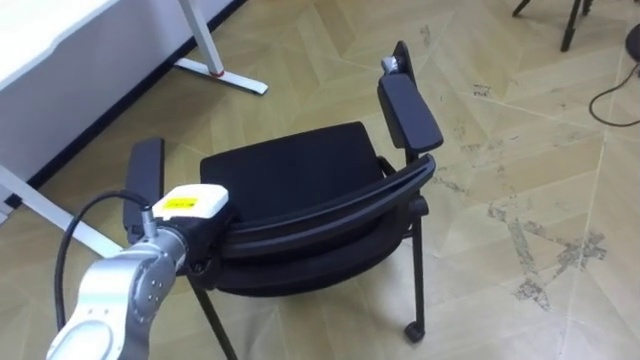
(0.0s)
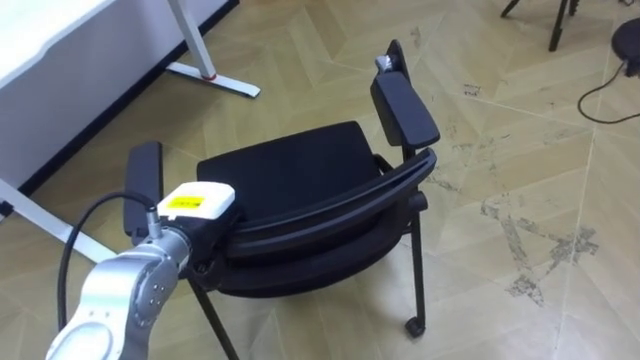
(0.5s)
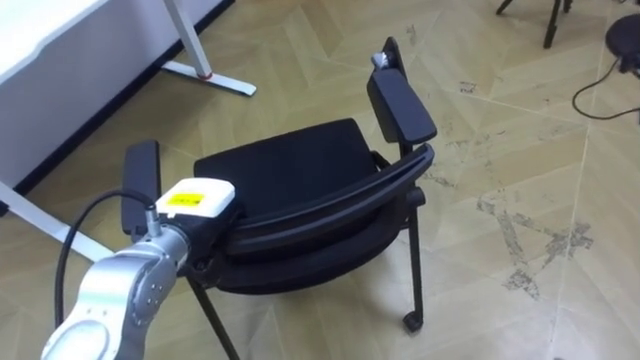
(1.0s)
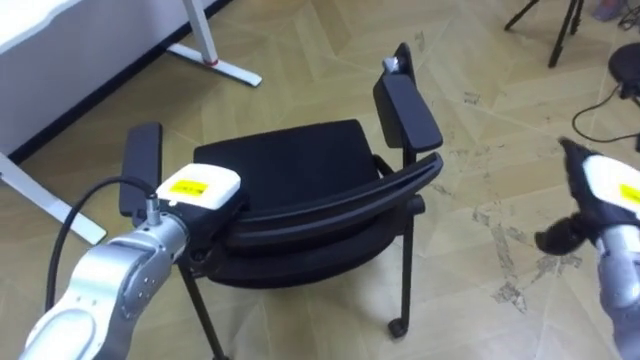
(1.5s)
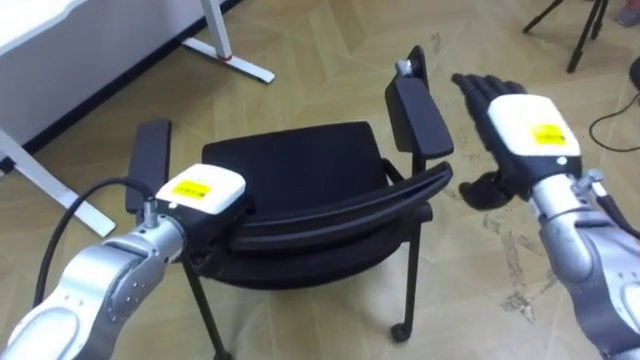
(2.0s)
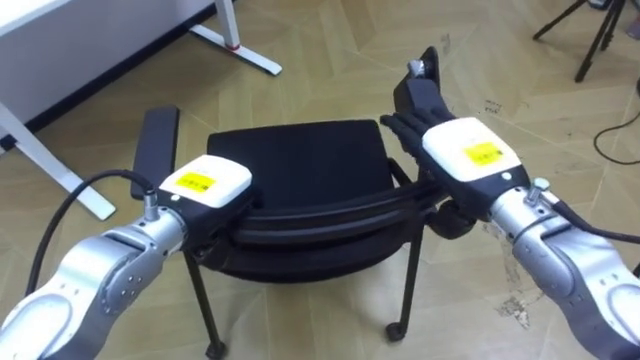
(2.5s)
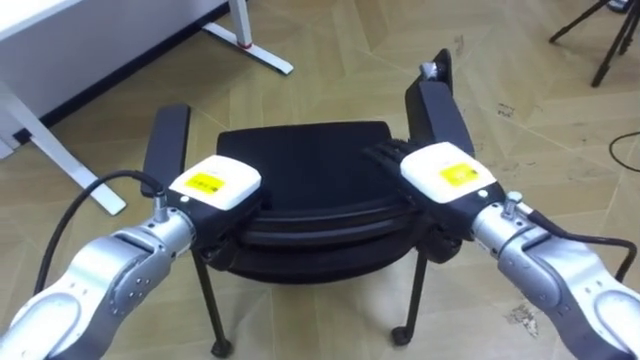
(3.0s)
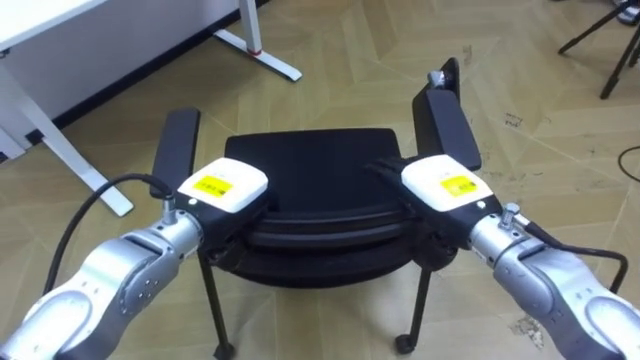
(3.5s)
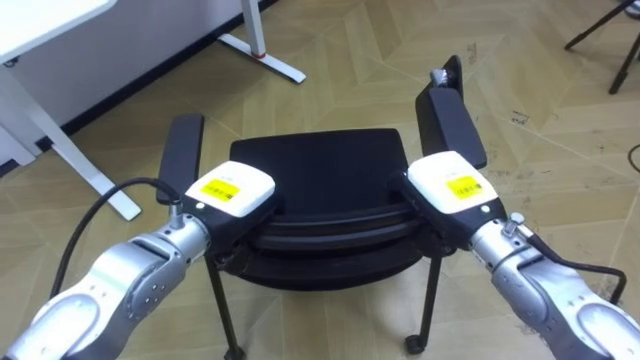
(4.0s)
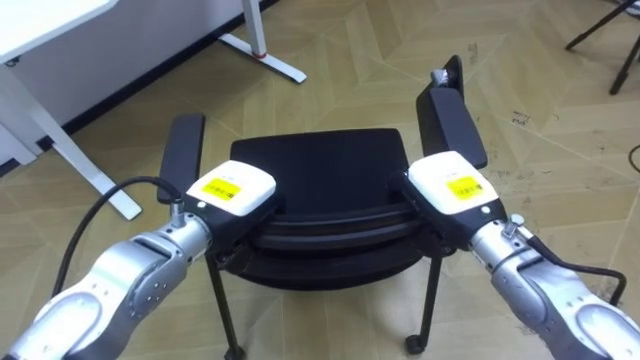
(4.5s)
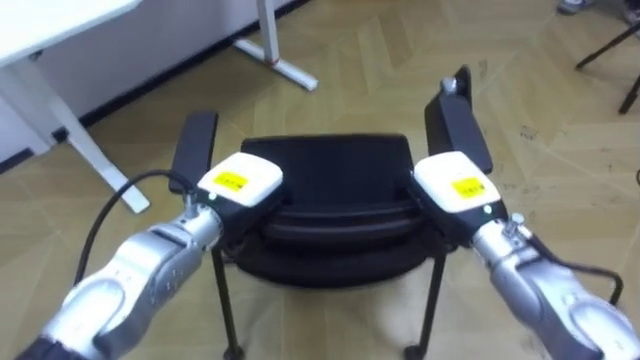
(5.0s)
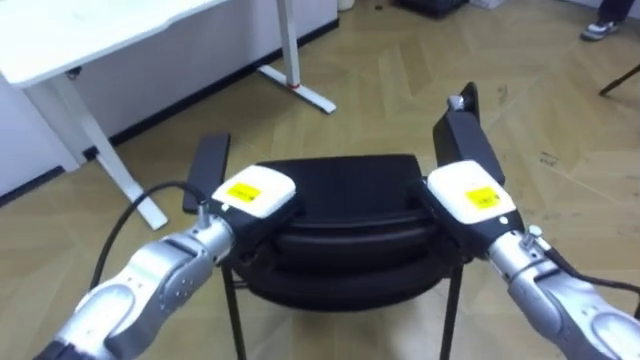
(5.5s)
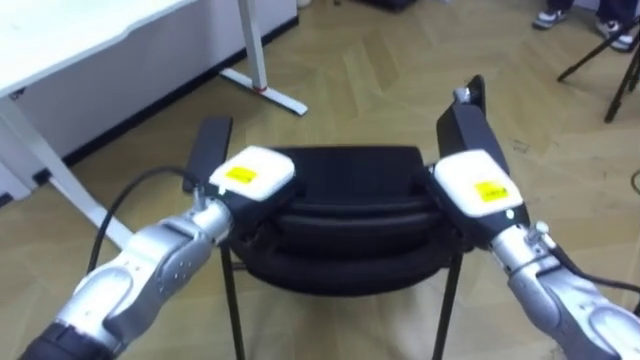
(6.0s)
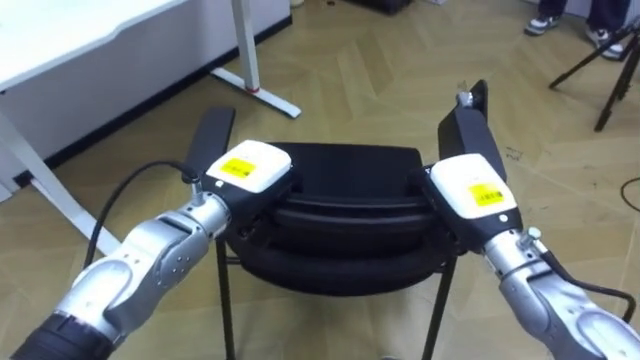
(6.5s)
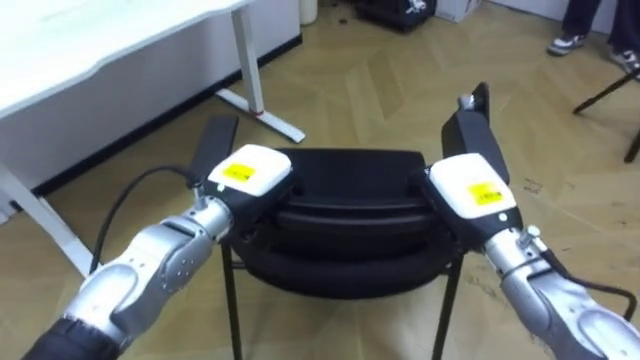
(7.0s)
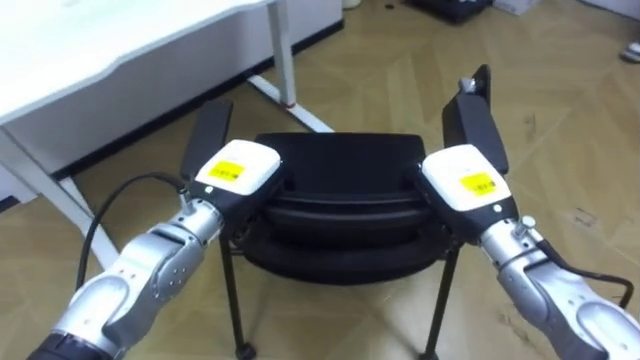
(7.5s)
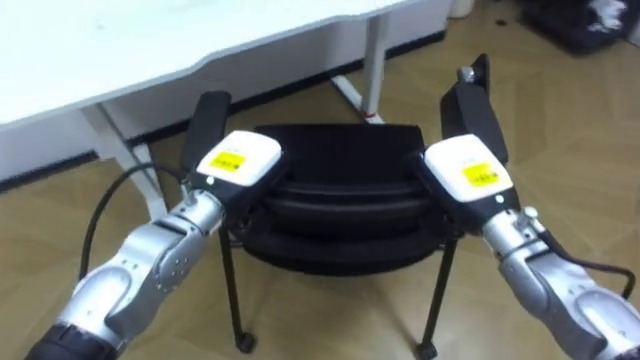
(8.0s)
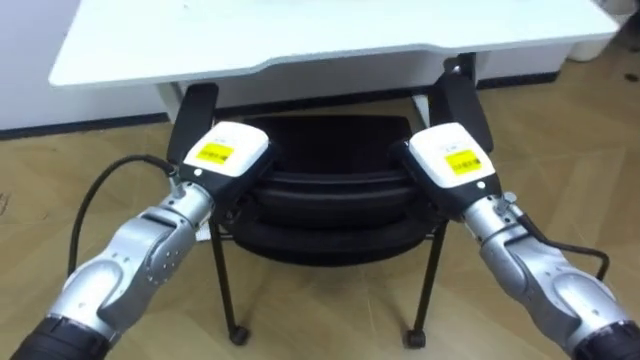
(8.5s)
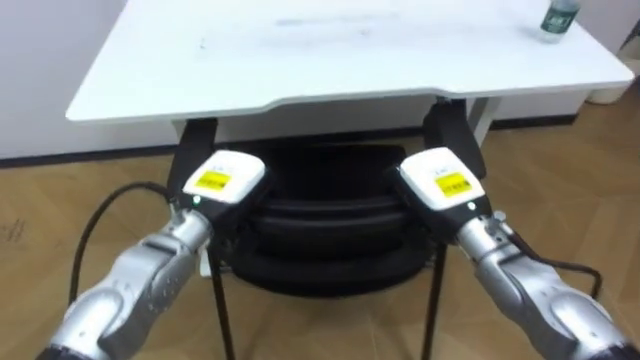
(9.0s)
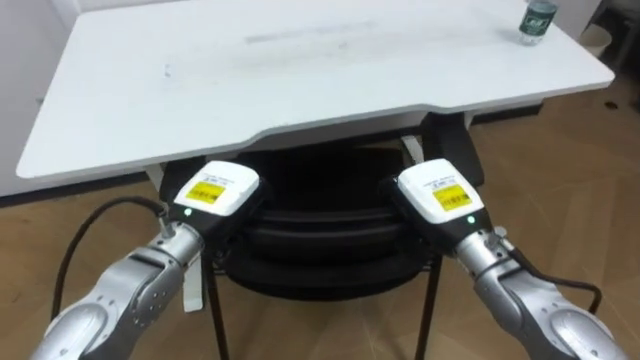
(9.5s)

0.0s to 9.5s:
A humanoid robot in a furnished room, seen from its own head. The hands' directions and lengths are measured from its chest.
Task of the whole recording: Push the chair under the table.
2.0s to 4.0s: The right hand heads to the left and downward, covering some 10 cm, and closes up.
7.5s to 9.5s: The robot rotates some 20 degrees to its left.

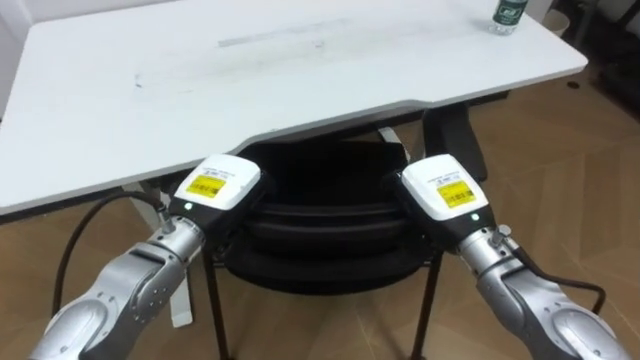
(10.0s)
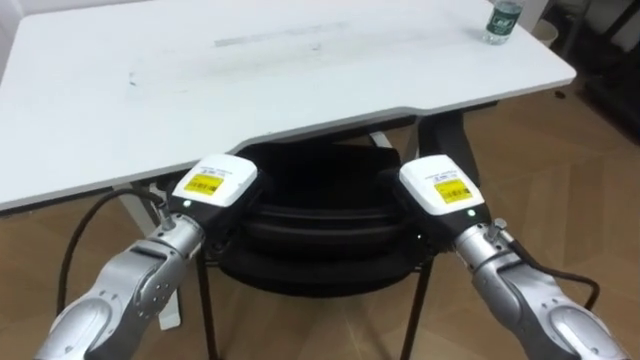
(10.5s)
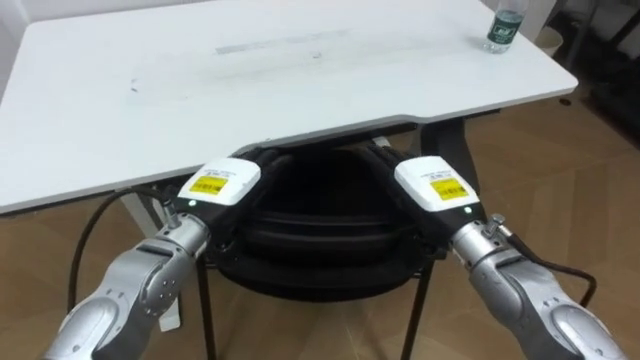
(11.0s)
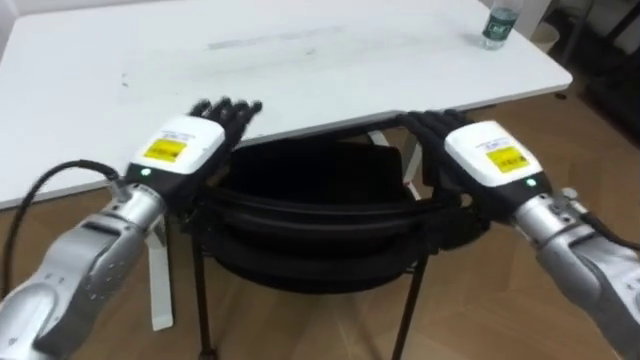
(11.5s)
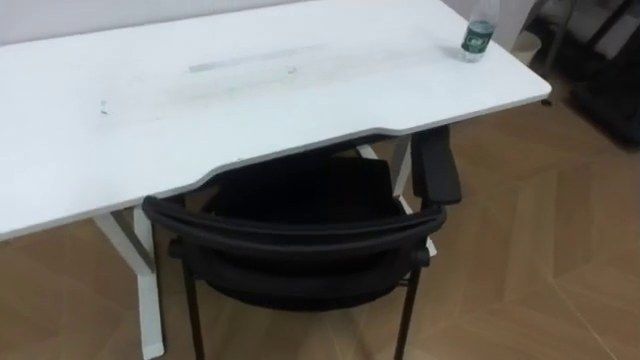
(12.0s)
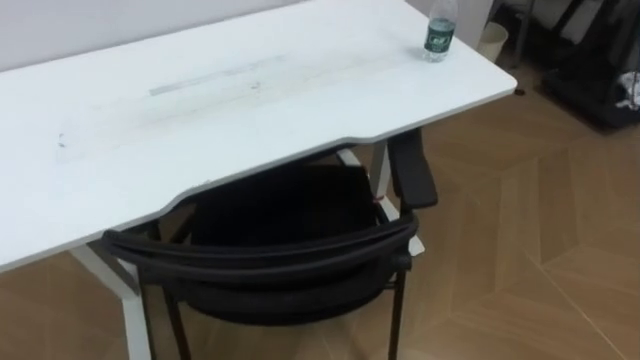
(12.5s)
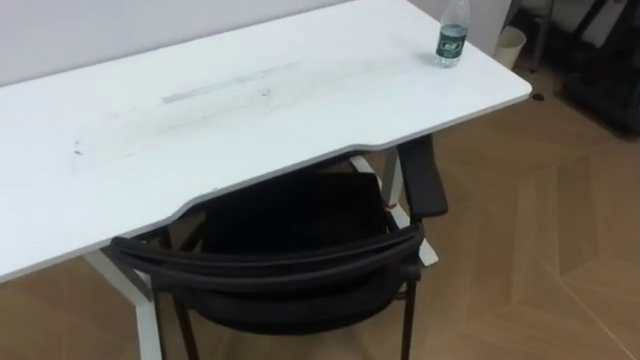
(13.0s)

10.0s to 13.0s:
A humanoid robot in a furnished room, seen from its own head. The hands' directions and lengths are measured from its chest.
Task of the whole recording: Push the chair under the table.
10.0s to 11.5s: The right hand shifts by some 5 cm, and opens up. The left hand ends up approximately 5 cm from where it was, and opens its fingers.

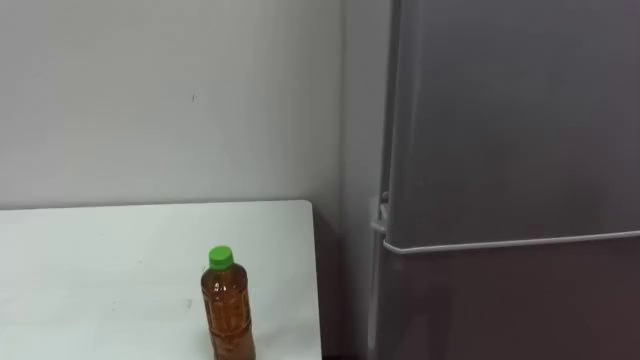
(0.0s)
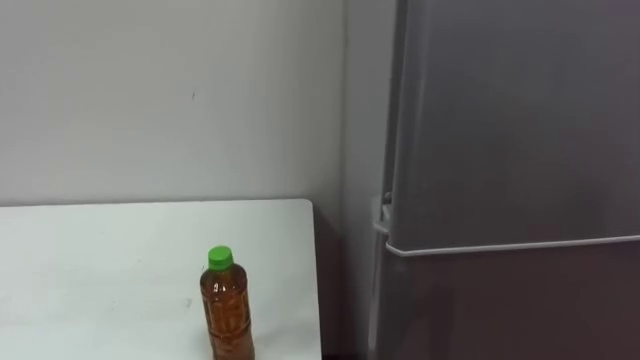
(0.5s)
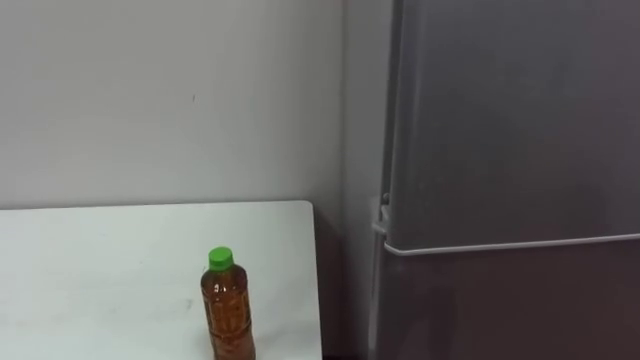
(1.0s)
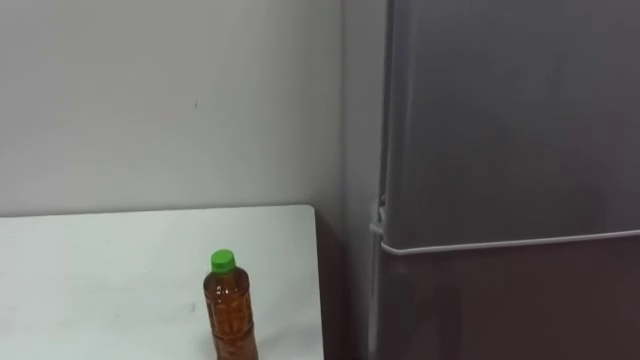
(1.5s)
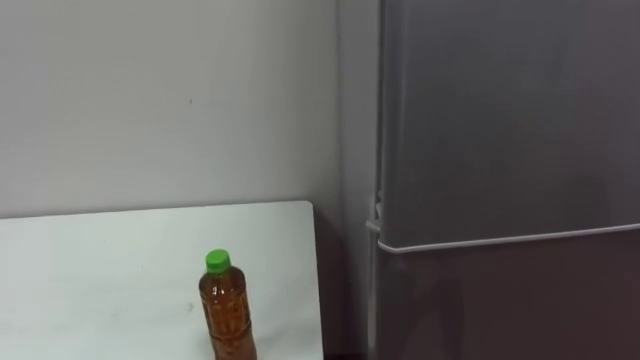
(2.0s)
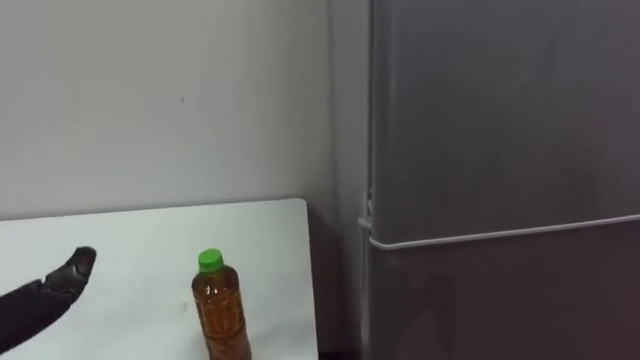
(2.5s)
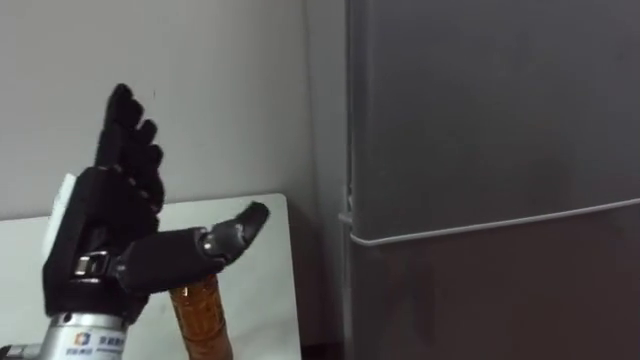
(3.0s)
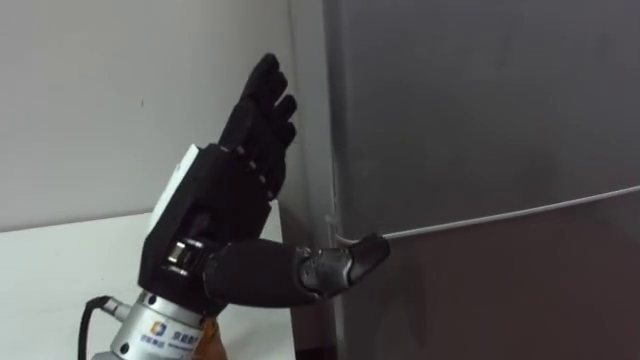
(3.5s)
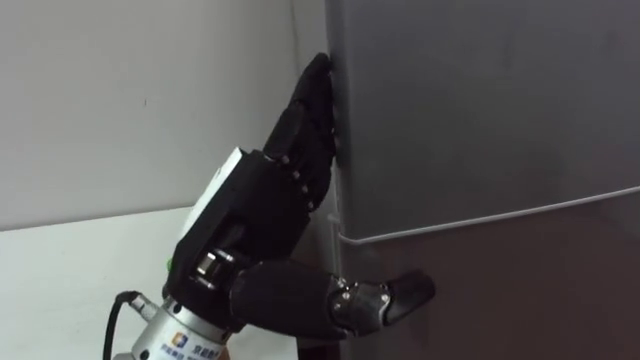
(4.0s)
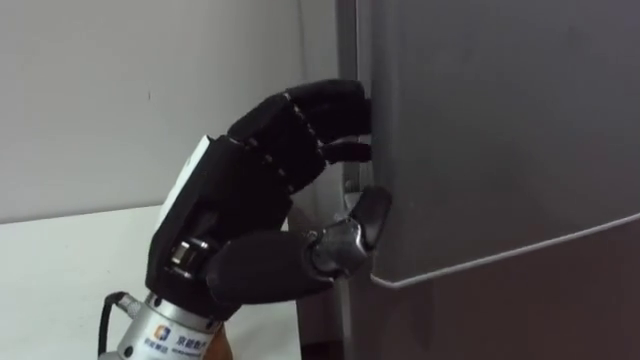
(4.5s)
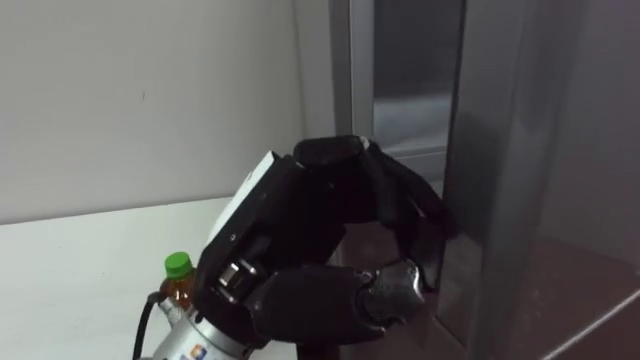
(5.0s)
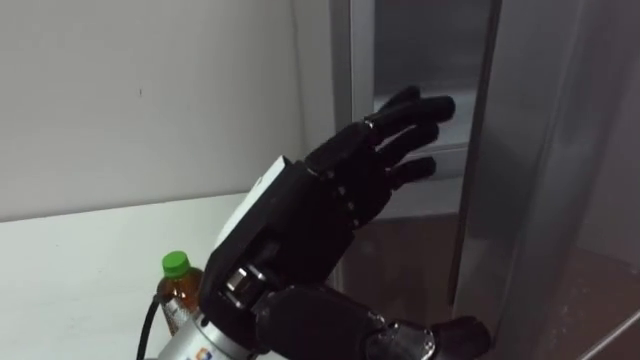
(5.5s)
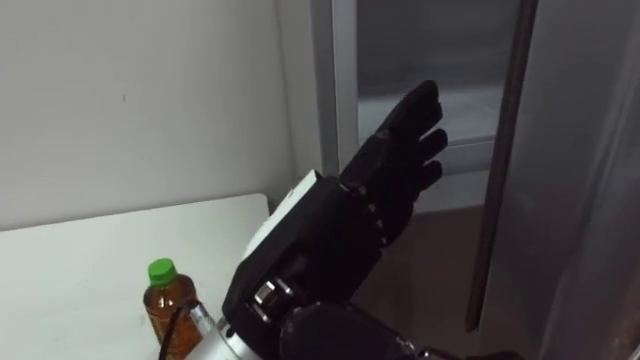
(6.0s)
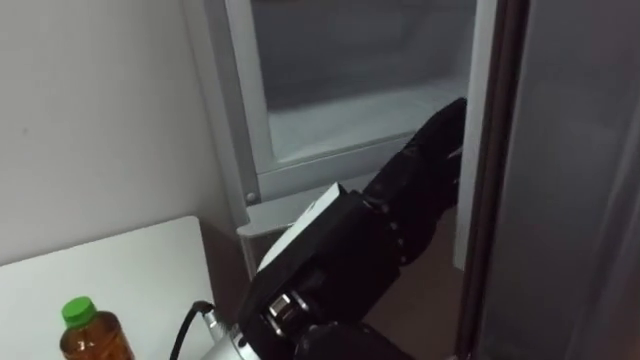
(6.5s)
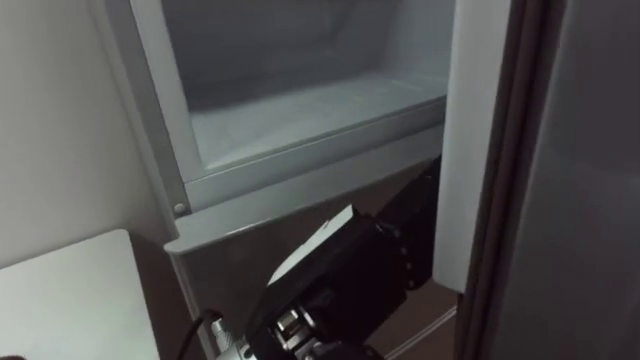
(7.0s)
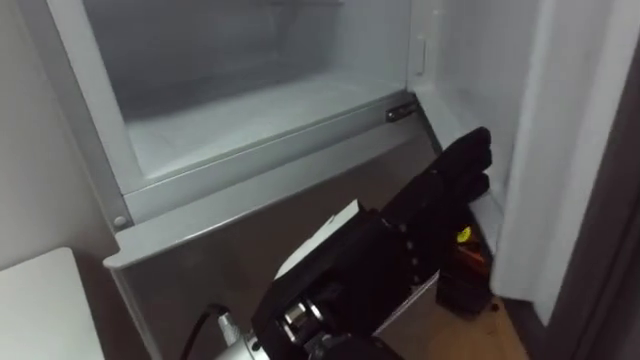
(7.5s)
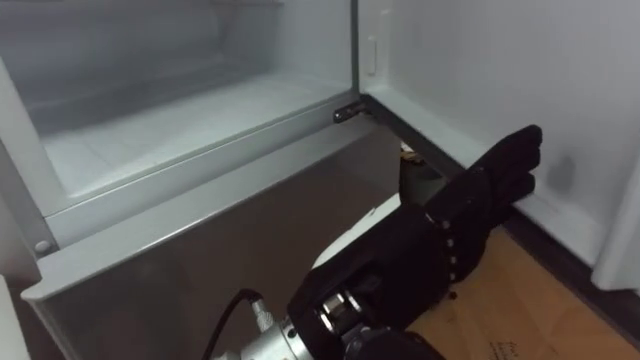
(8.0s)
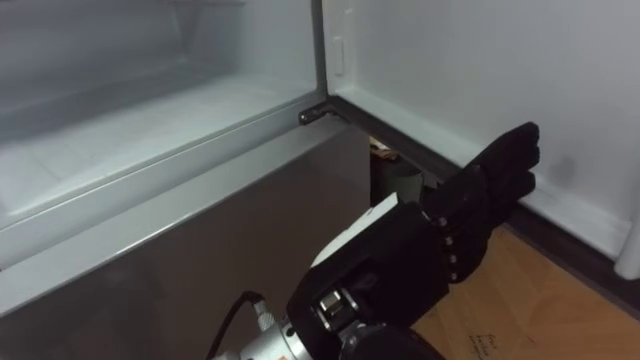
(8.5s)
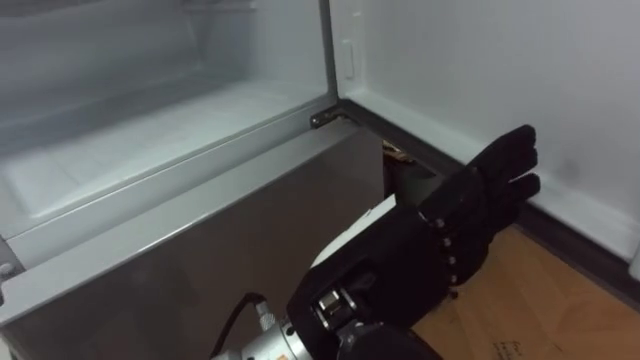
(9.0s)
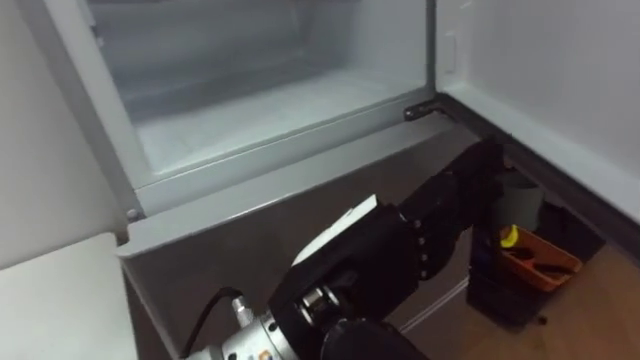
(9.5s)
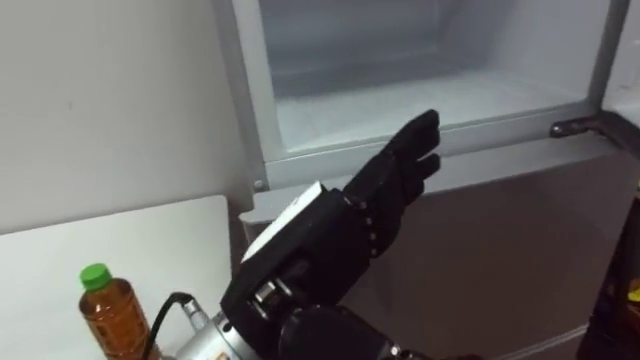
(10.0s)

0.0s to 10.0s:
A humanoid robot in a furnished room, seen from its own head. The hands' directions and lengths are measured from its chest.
Task of the whole recording: Open the upper refrigerator door, put the drink from the table into the refrigerator, and then close the refrigerator door.
4.0s to 6.0s: The left hand closes, then reopens.
8.0s to 10.0s: The left hand moves roughly 5 cm.
